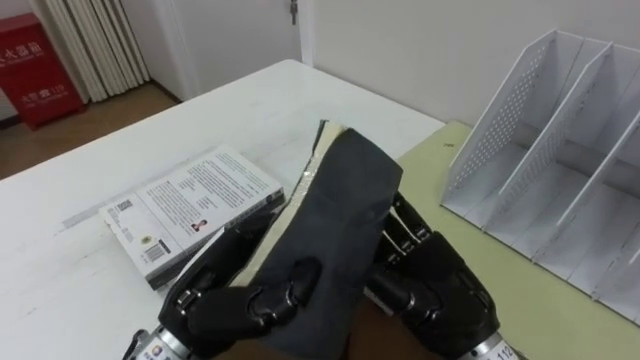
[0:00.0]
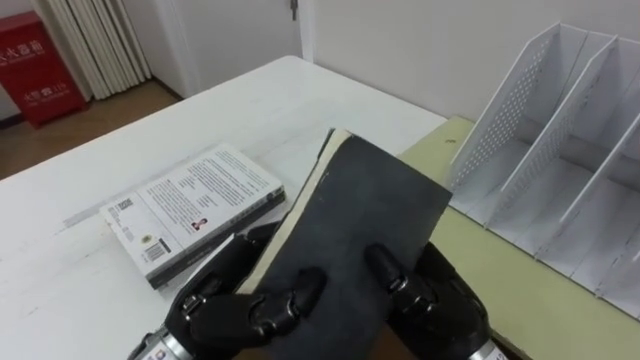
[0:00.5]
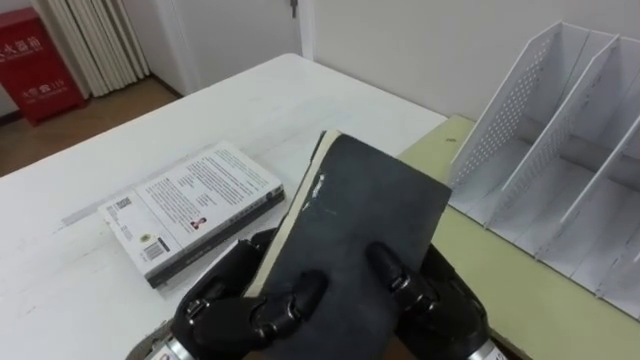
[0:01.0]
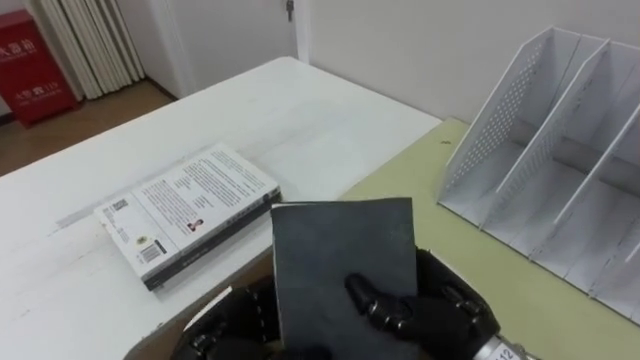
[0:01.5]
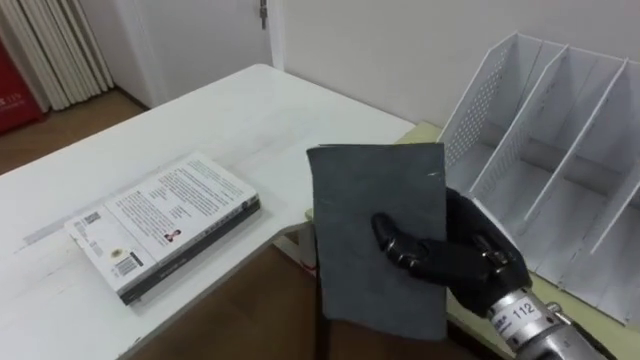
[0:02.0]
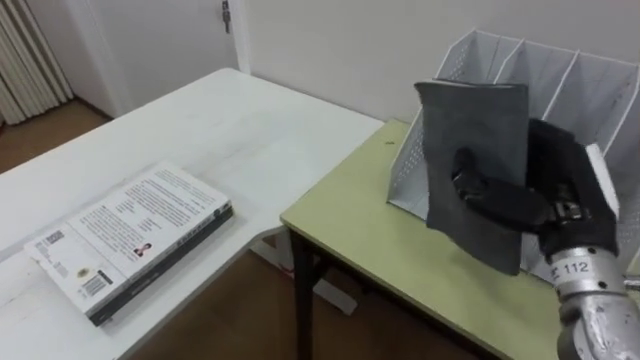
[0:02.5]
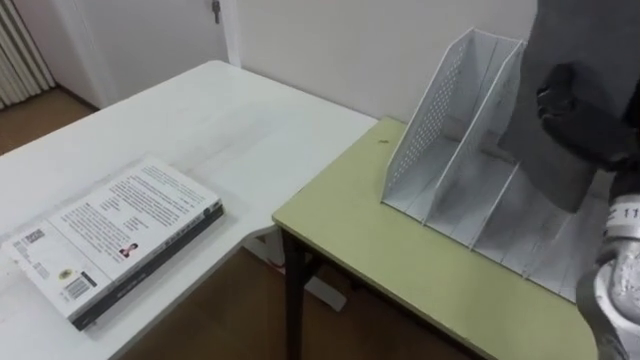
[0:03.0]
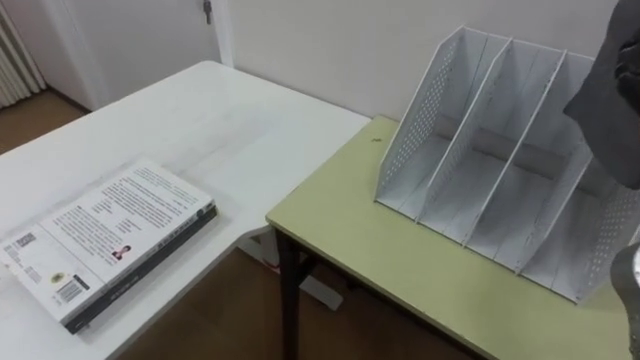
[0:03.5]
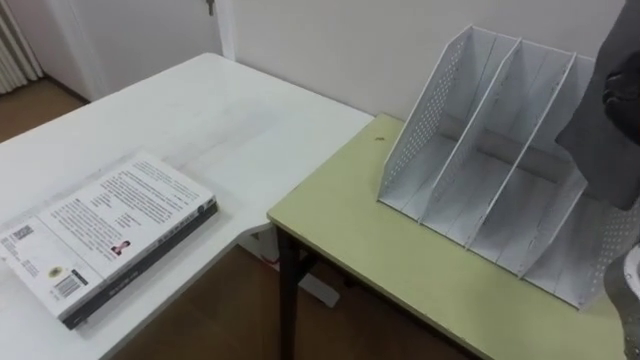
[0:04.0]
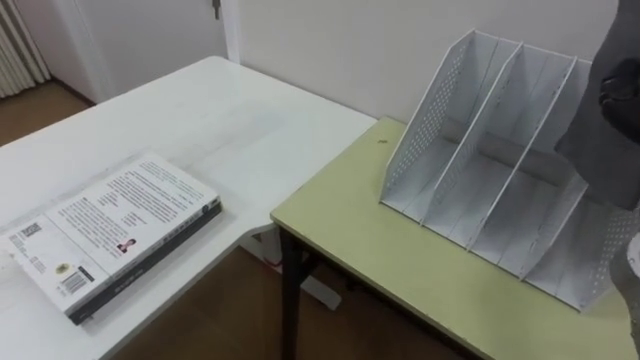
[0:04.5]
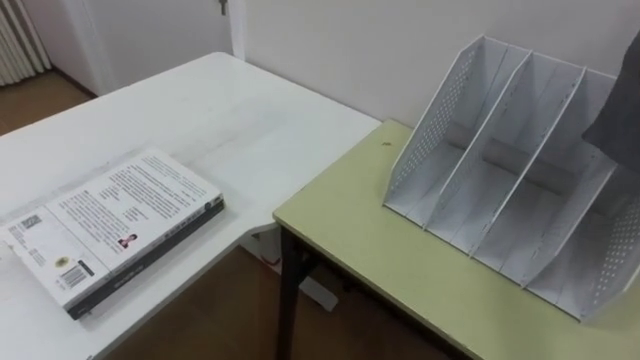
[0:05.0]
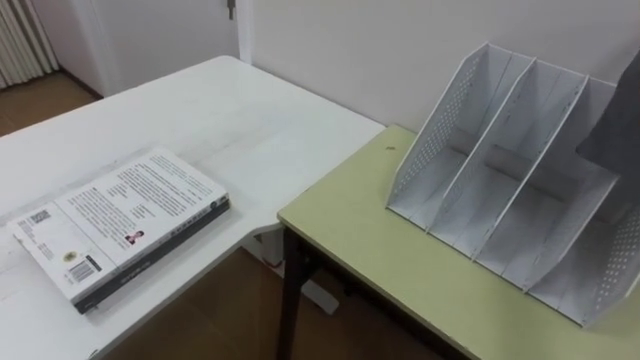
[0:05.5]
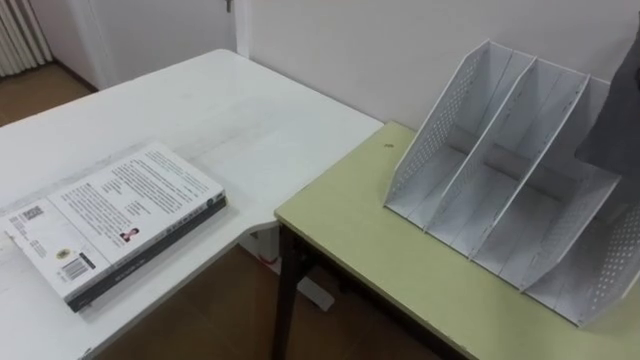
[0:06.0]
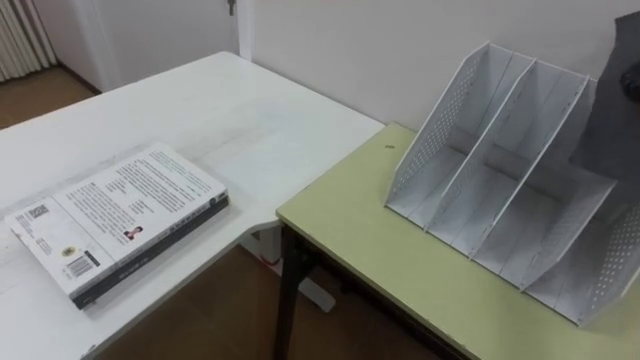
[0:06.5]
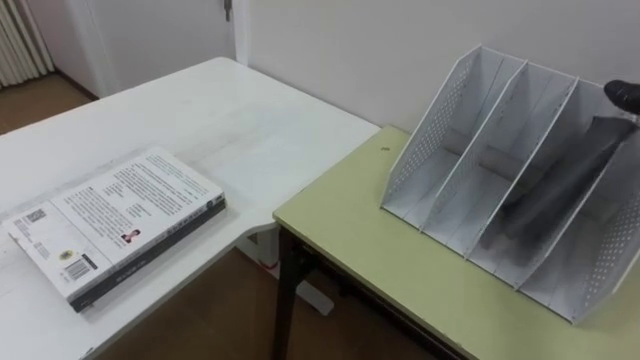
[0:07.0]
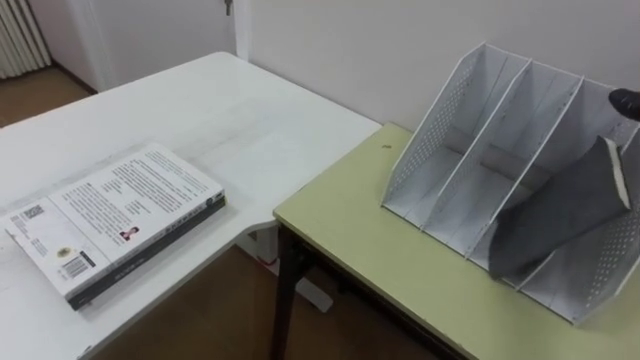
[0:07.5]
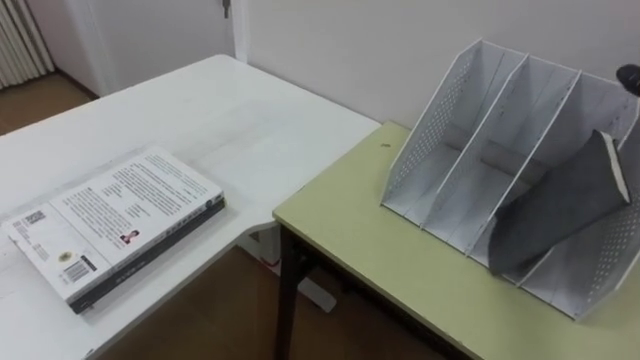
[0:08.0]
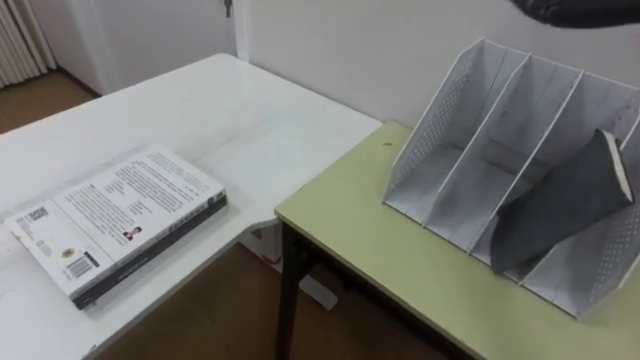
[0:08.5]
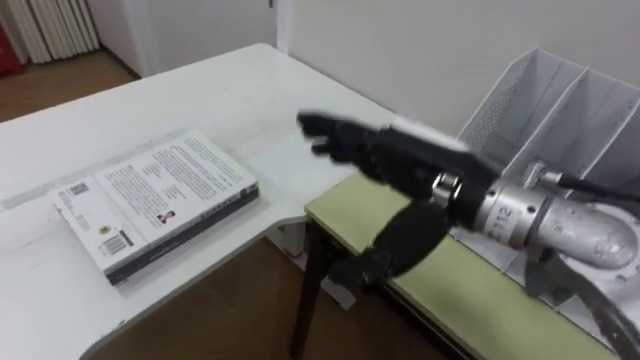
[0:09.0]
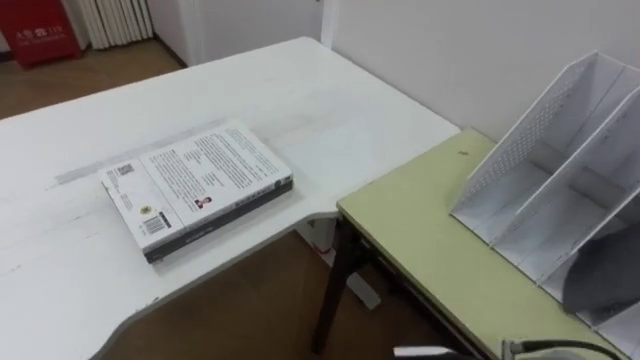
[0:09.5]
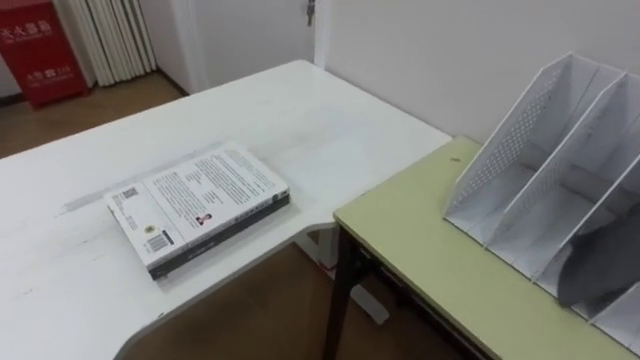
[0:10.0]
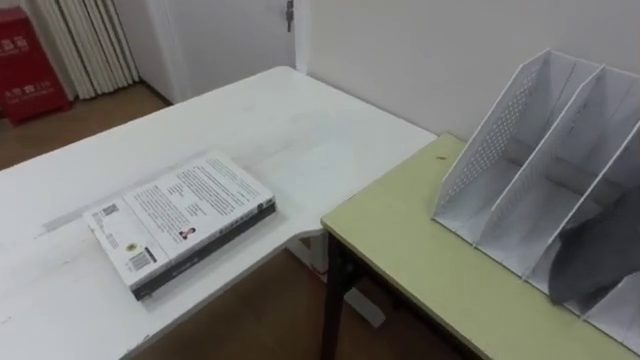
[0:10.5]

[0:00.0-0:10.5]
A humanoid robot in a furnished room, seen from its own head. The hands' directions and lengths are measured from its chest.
Task of the whole recording: Put the books on the table onto the bookshelf.
0:00.0 to 0:02.0: The right hand changes place by some 5 cm, and closes.

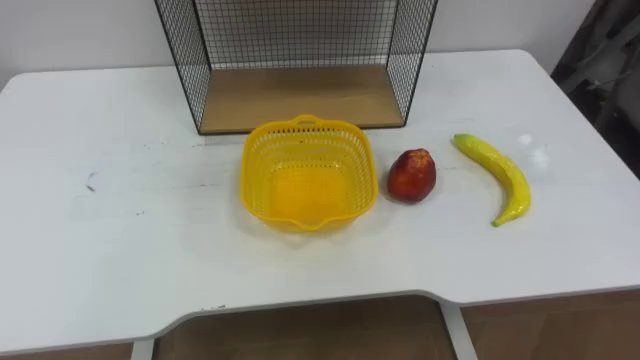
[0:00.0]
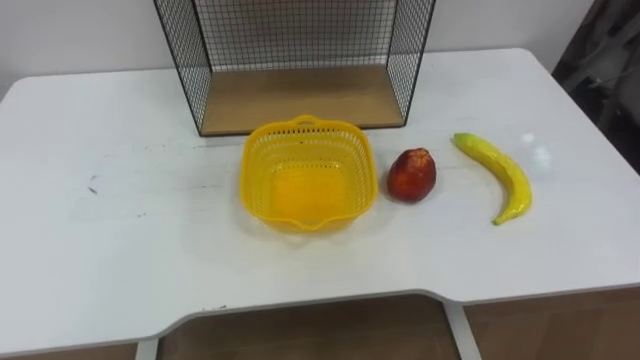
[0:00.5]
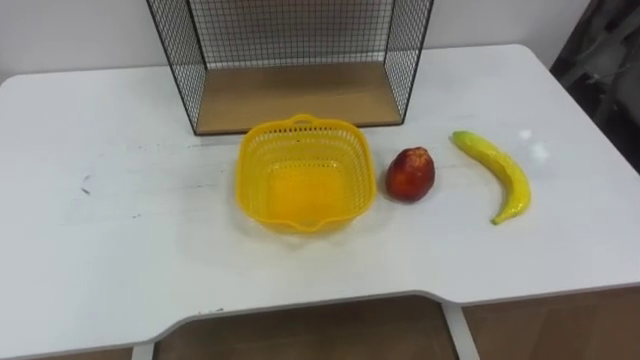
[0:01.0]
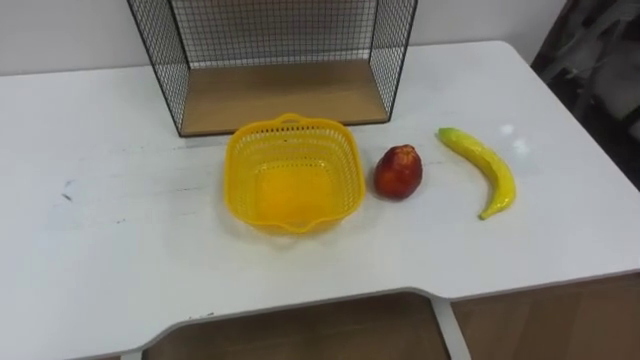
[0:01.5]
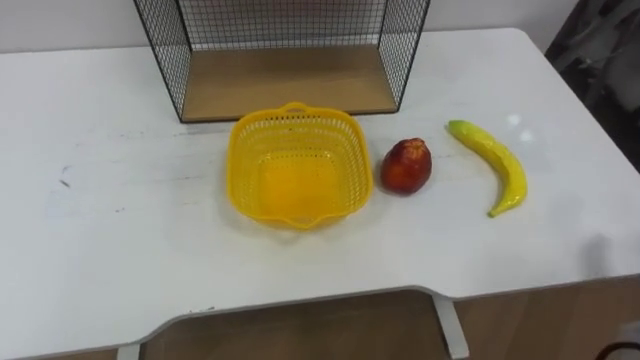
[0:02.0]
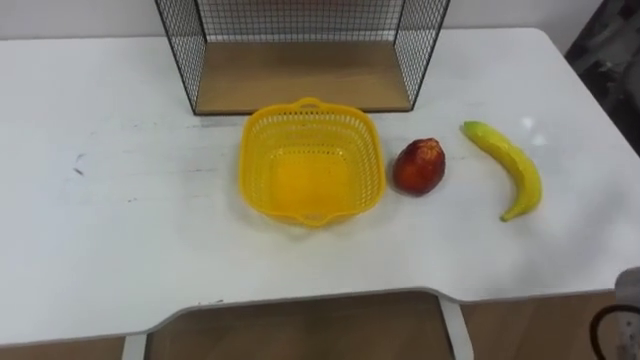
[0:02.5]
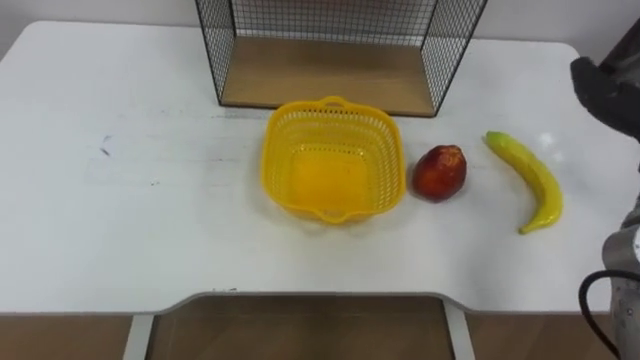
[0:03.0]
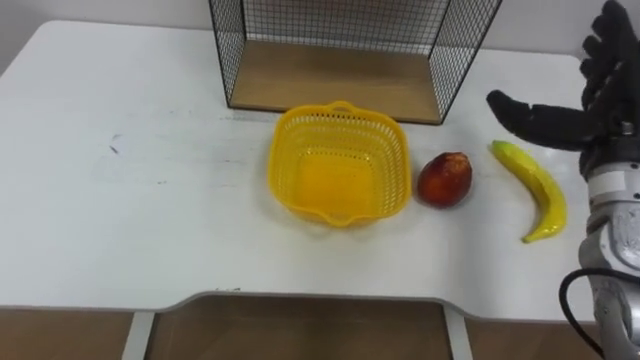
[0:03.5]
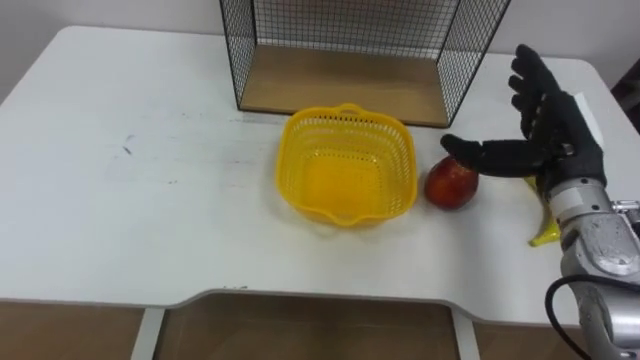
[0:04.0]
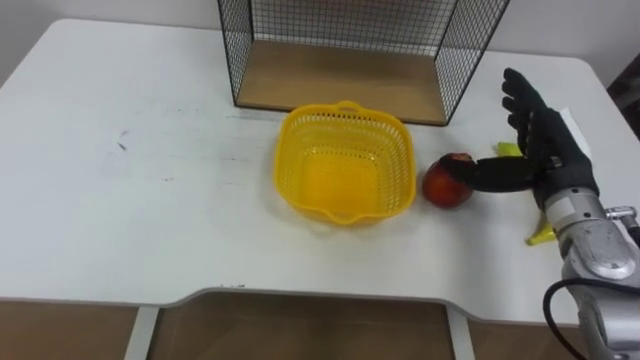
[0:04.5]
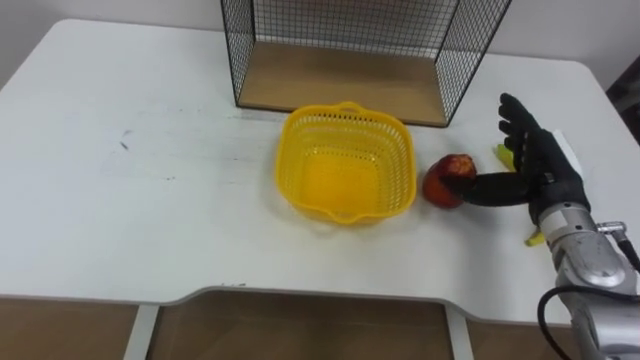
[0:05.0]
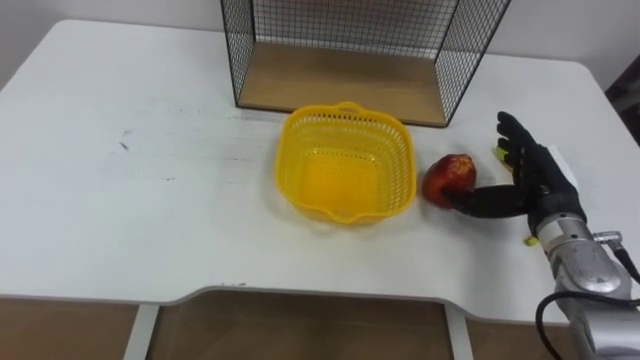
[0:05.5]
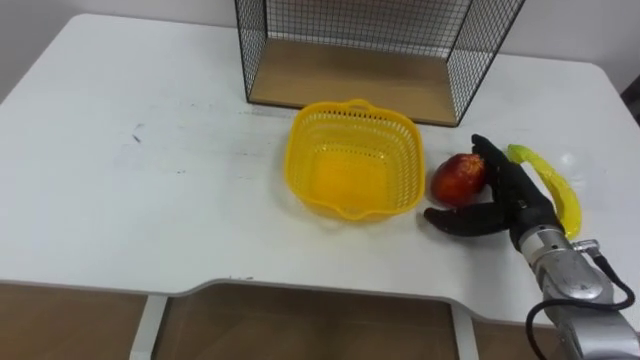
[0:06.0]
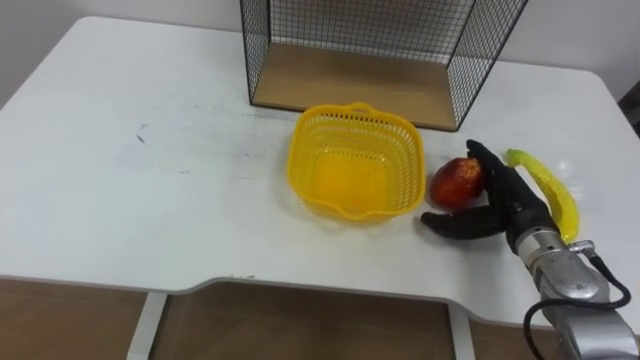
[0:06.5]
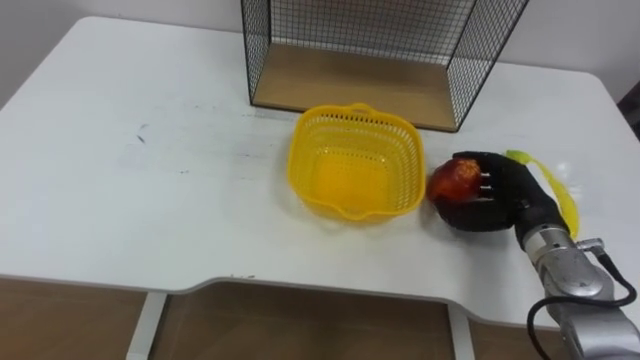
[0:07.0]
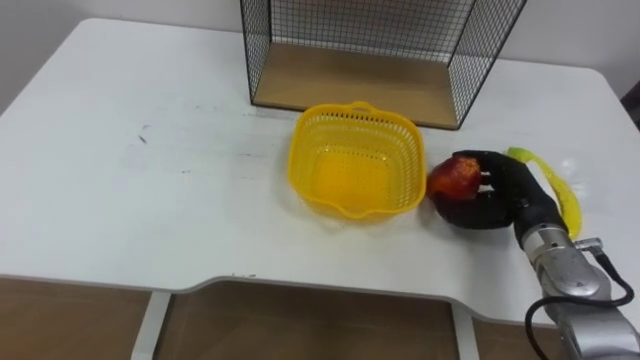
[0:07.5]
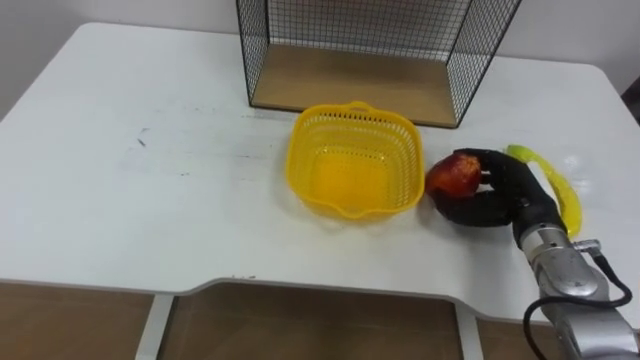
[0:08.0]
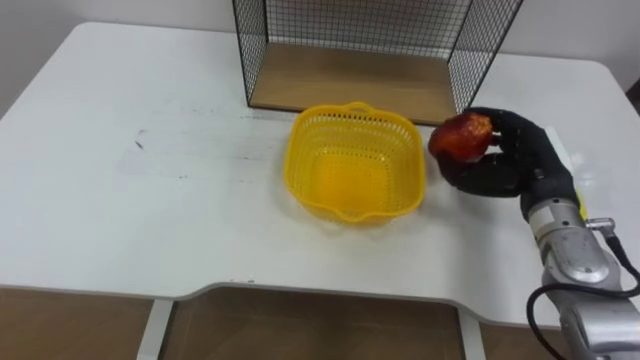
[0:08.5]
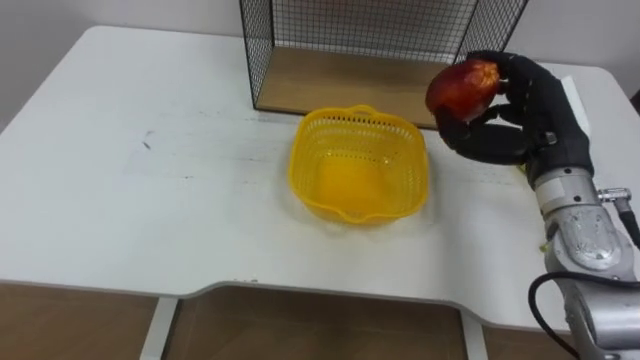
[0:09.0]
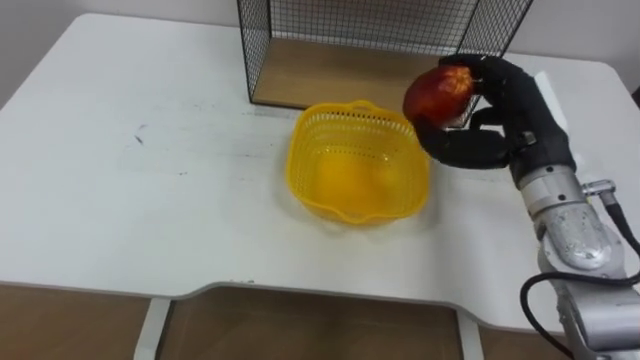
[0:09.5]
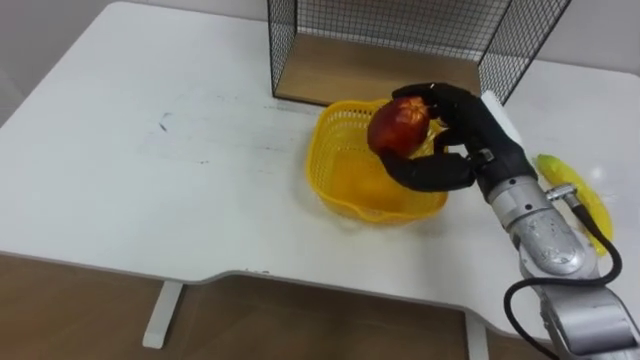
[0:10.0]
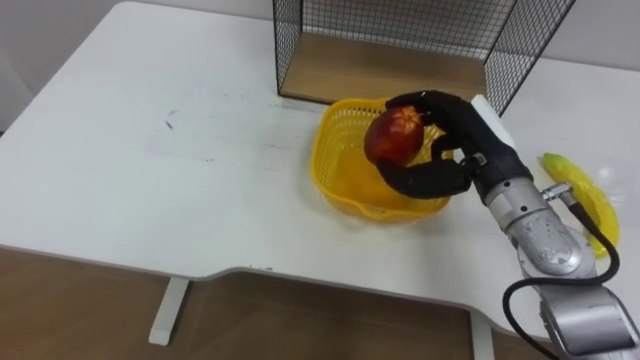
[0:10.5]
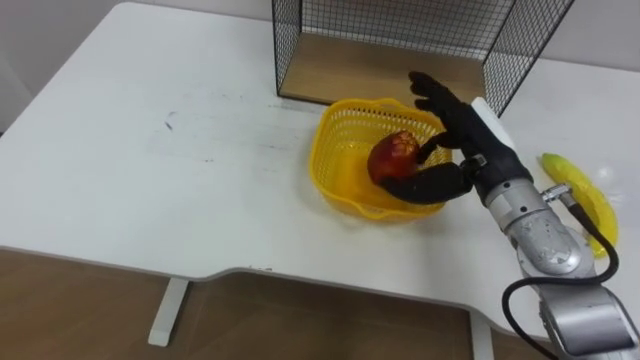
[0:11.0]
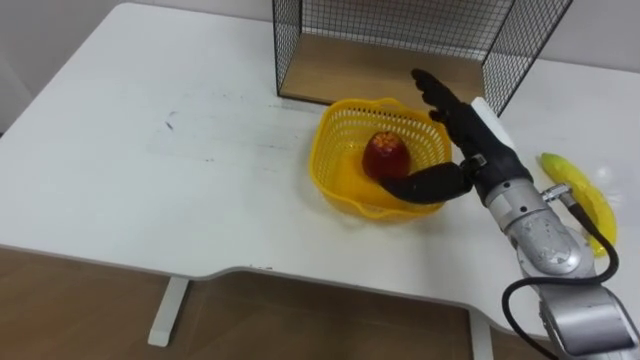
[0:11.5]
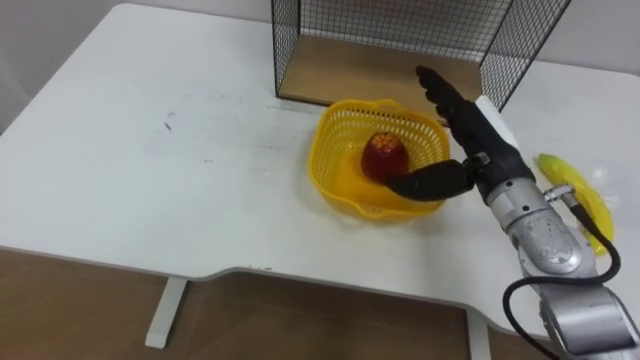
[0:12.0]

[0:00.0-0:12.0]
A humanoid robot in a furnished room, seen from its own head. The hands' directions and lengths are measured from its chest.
Task of the whole recording: Put the fruit on the table into the basket, then place the basket on the shelf.
0:04.0 to 0:06.0: The right hand goes roughly 10 cm downward.
0:06.0 to 0:08.0: The right hand closes.
0:08.0 to 0:10.0: The right hand shifts approximately 15 cm upward and to the left.
0:10.0 to 0:12.0: The right hand opens its fingers.
